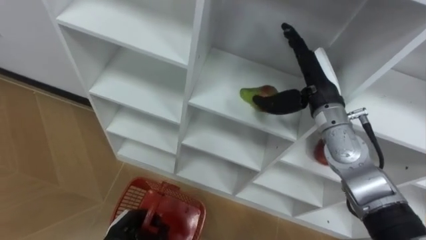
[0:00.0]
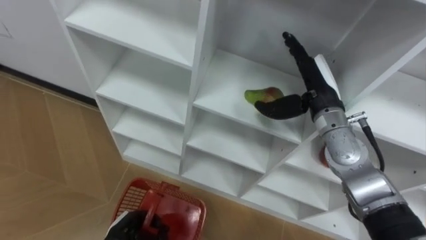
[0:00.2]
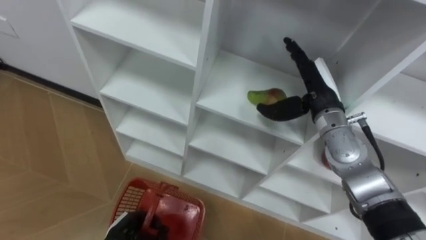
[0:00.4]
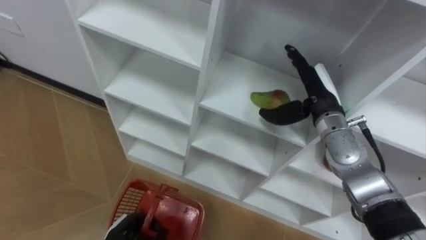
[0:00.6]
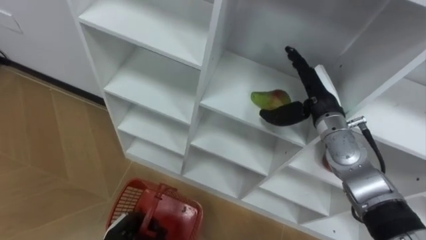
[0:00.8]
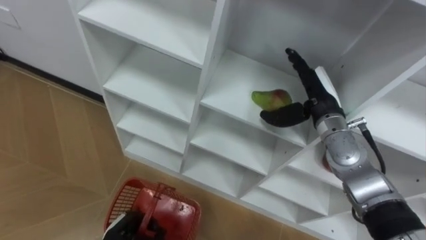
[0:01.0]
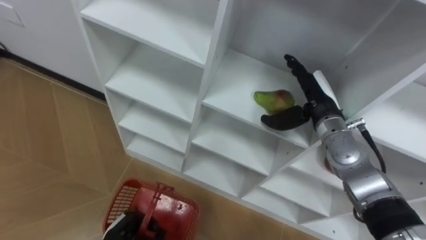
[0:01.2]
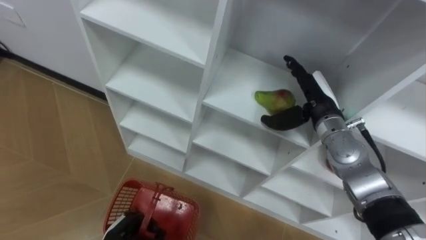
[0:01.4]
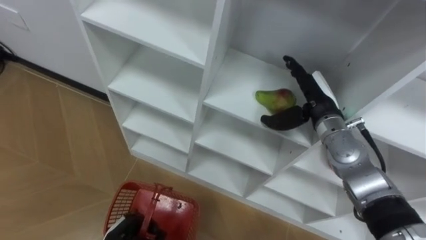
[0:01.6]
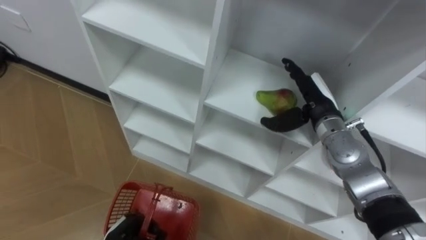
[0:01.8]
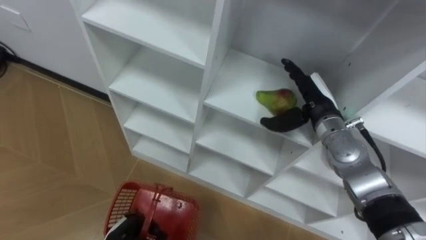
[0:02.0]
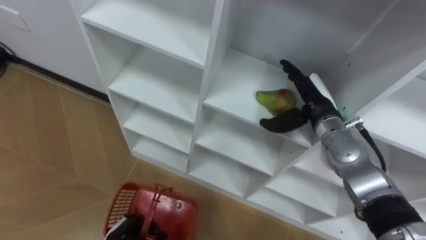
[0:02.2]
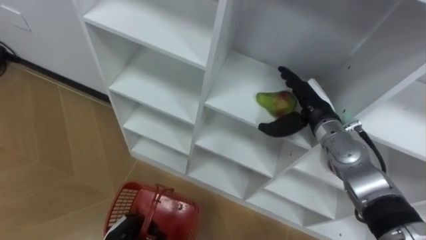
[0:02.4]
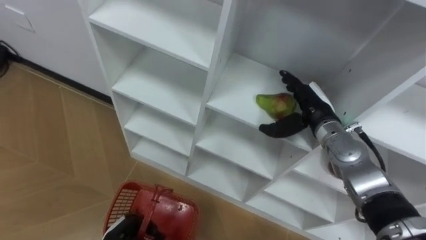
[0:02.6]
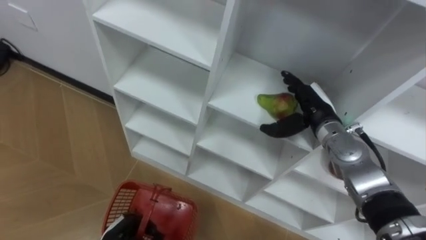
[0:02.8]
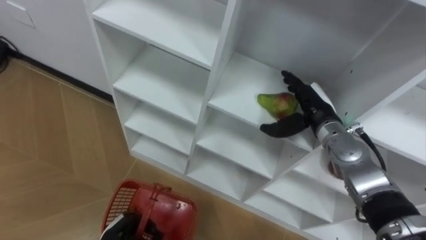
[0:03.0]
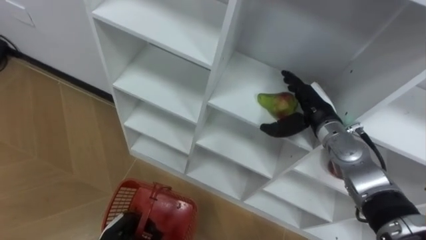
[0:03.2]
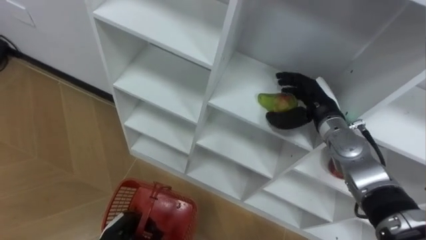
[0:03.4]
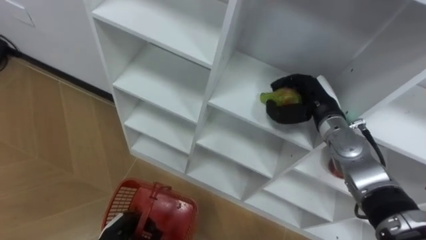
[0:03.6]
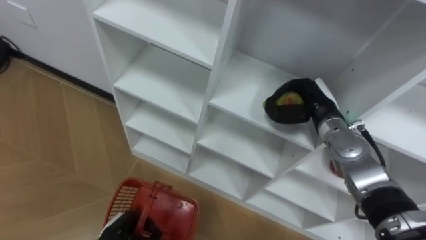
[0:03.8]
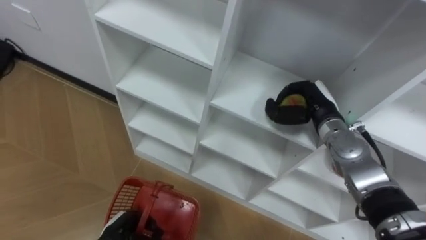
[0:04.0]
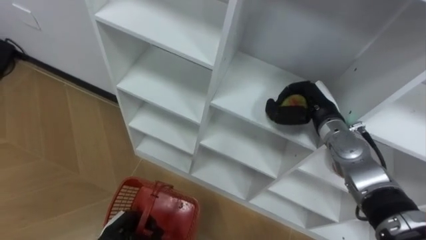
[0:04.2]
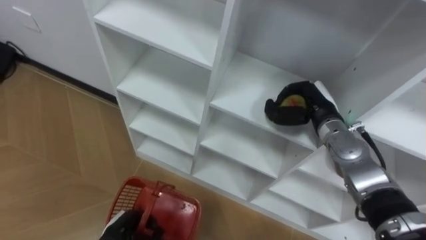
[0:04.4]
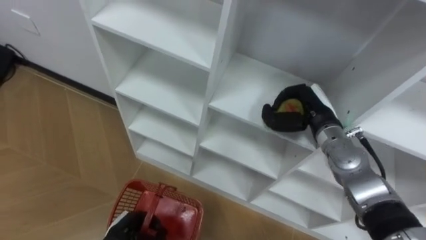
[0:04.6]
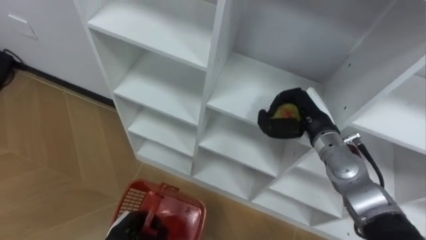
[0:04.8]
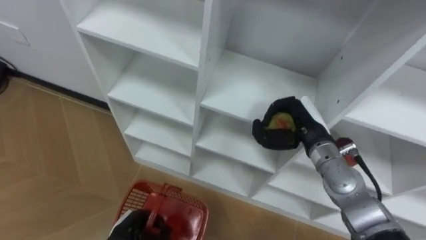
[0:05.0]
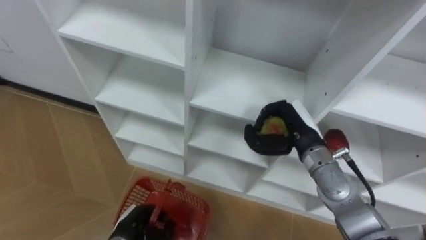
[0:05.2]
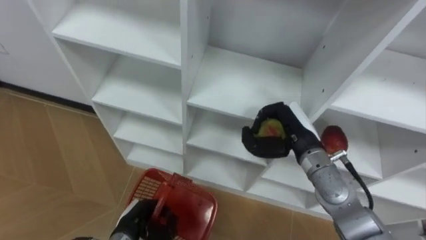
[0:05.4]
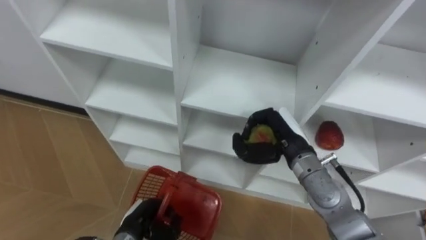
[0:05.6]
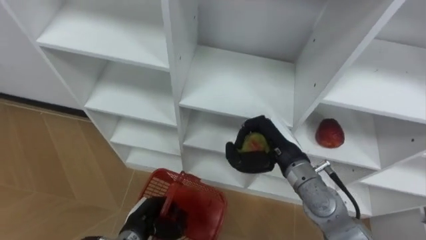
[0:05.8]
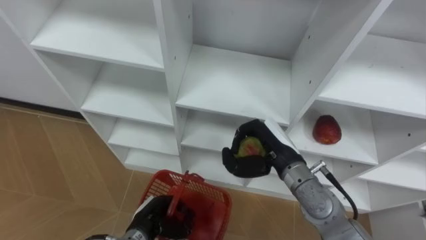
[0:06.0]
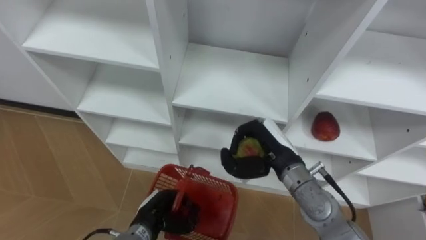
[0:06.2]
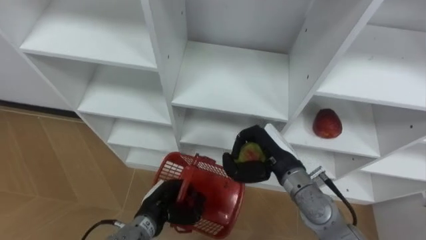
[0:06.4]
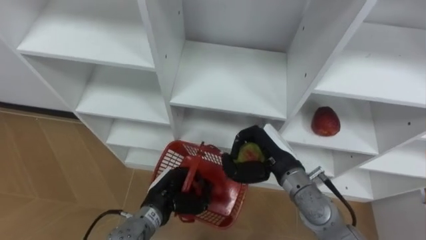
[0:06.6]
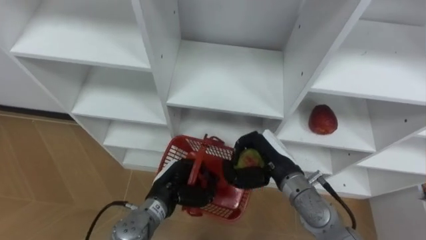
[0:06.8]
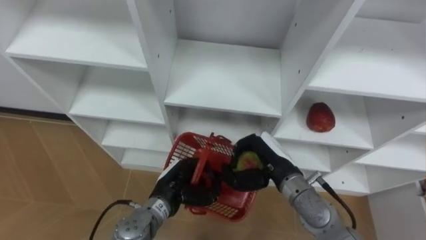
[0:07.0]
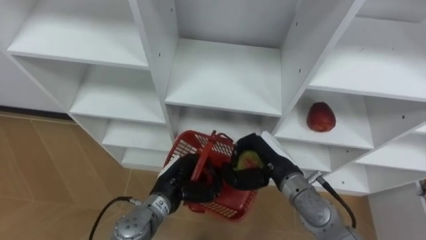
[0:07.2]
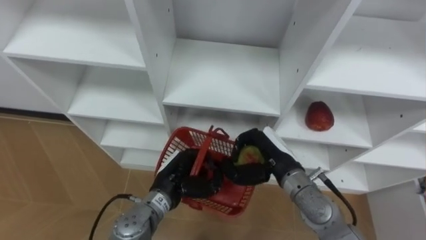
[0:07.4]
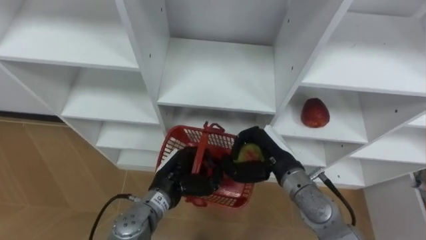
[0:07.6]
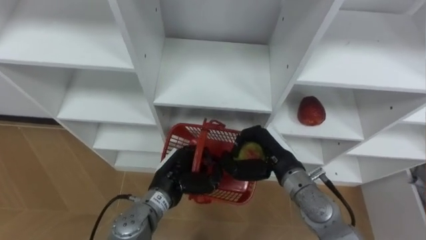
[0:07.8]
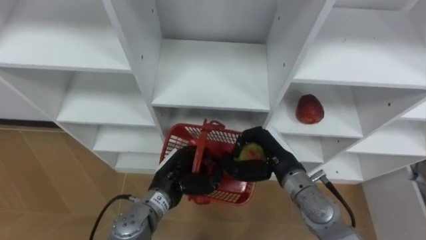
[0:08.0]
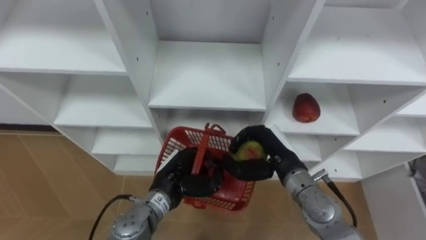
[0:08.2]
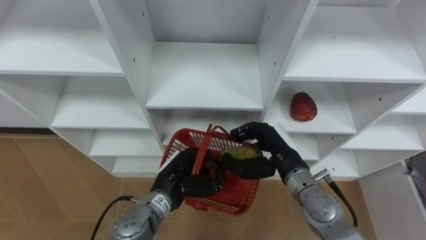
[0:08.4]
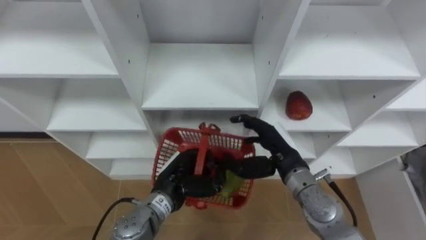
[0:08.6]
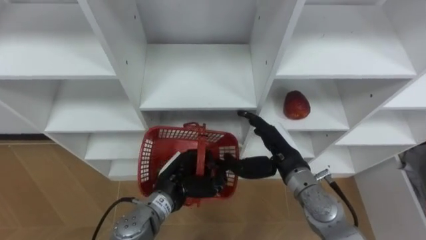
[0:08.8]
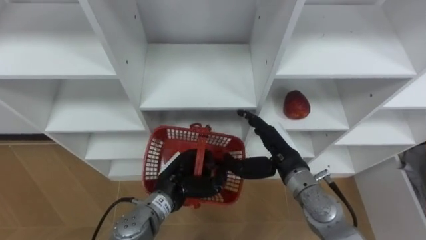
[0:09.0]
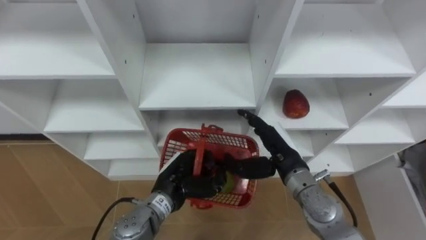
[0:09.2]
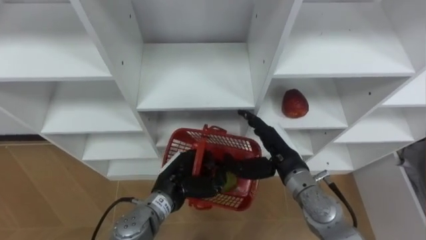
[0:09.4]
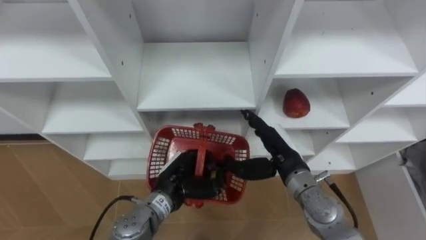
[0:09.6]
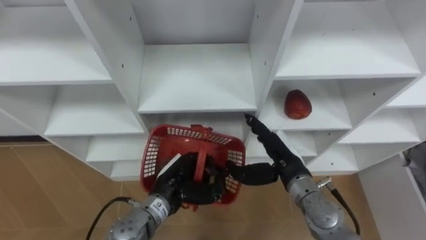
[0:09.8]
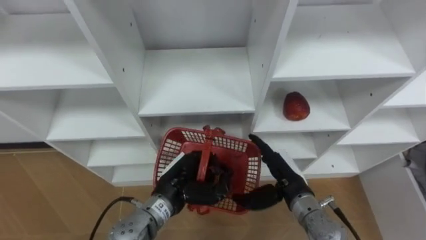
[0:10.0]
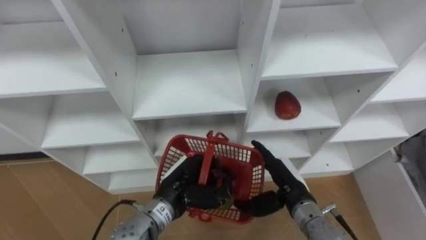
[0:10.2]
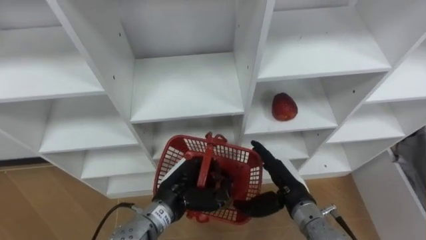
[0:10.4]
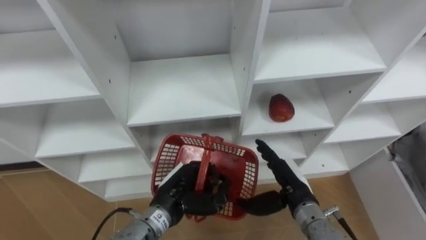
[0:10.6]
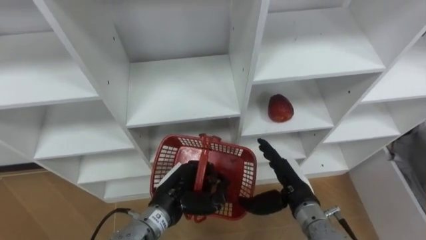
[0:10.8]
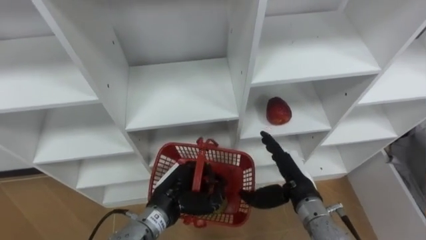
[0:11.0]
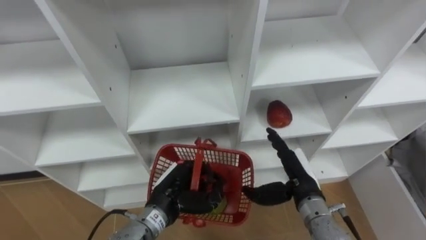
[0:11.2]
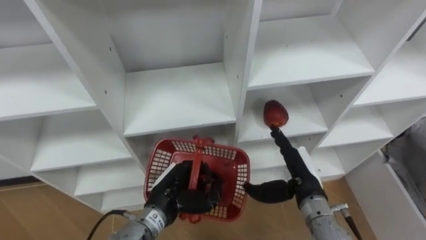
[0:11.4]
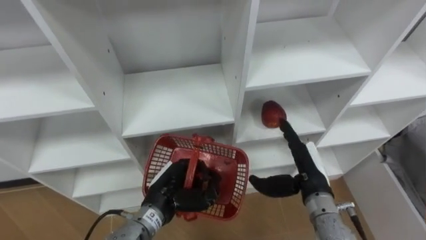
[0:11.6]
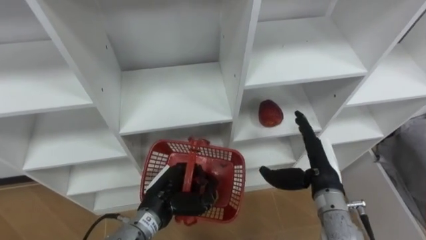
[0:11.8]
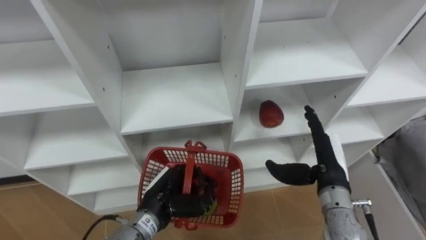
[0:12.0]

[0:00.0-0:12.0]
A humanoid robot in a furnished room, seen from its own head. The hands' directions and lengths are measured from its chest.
Task of the whole recording: Hold the basket and collect the fruits from 3 different cells of the closet into it.
0:00.0 to 0:01.6: The right hand goes about 5 cm downward.
0:01.6 to 0:03.0: The hands stay close to where they were, moving slightly.
0:03.0 to 0:04.4: The right hand closes up.
0:04.4 to 0:06.0: The right hand shifts approximately 10 cm to the left and backward, while the left hand heads to the right, covering roughly 5 cm.
0:06.0 to 0:07.6: The left hand travels upward, to the right and forward by roughly 15 cm.
0:07.6 to 0:09.0: The right hand opens its fingers.
0:09.0 to 0:10.4: The right hand heads downward, covering roughly 5 cm.
0:10.4 to 0:12.0: The right hand travels to the right and upward by approximately 10 cm.

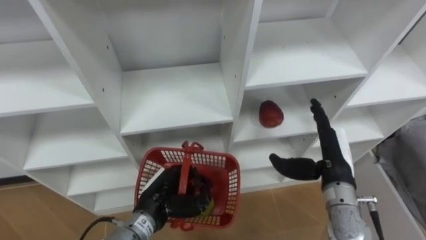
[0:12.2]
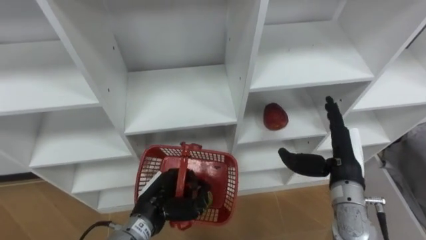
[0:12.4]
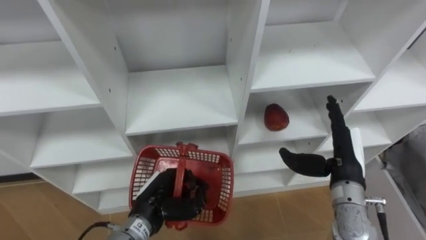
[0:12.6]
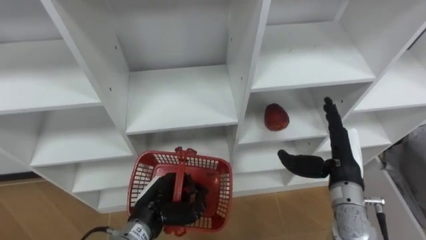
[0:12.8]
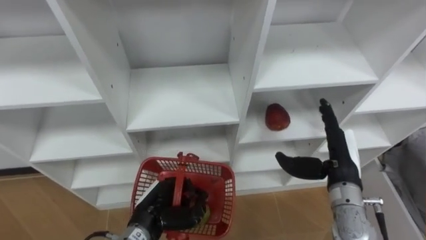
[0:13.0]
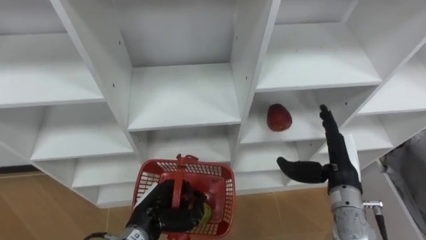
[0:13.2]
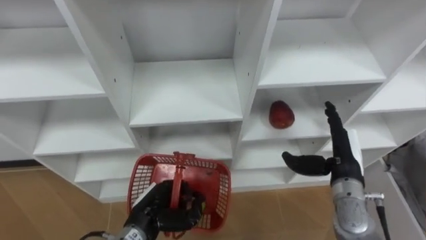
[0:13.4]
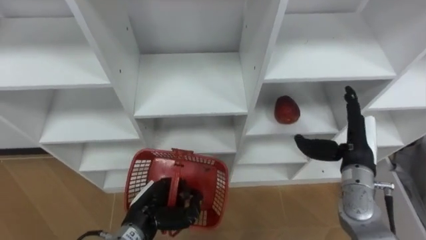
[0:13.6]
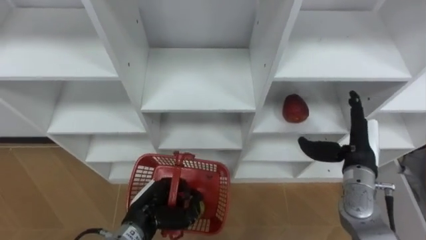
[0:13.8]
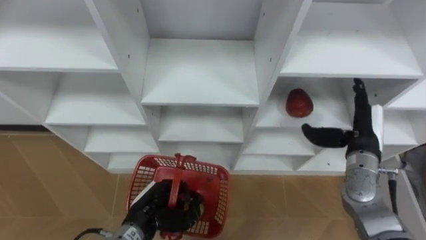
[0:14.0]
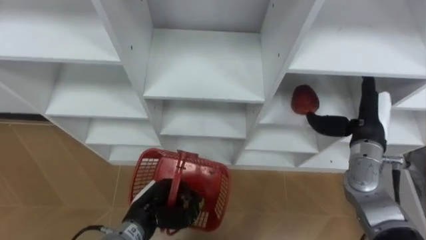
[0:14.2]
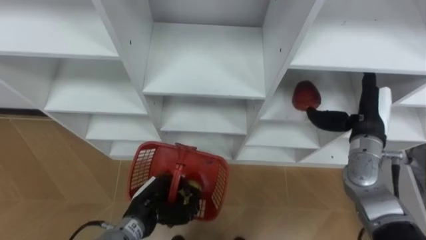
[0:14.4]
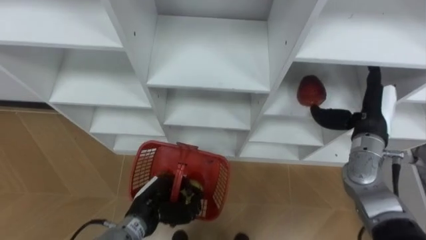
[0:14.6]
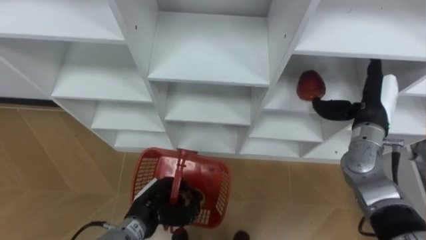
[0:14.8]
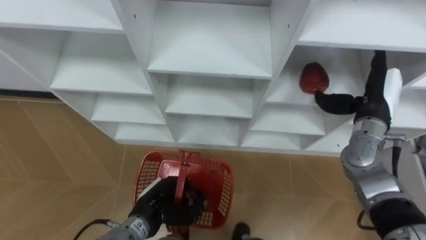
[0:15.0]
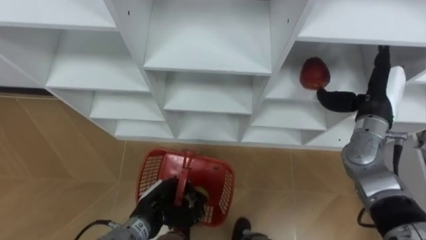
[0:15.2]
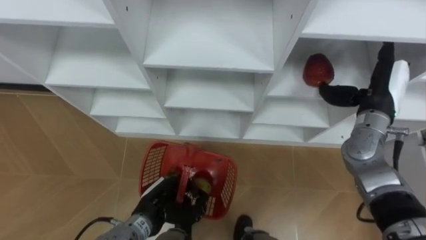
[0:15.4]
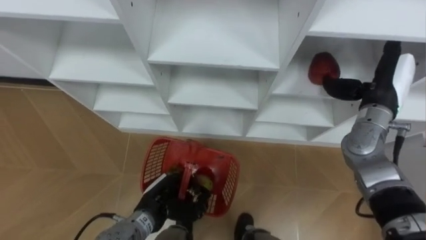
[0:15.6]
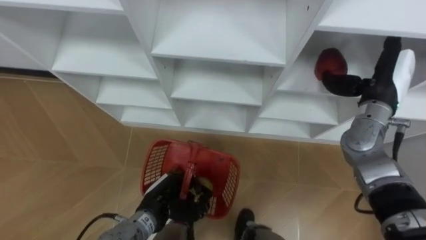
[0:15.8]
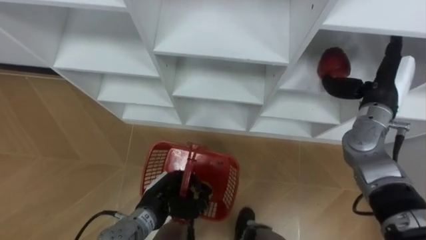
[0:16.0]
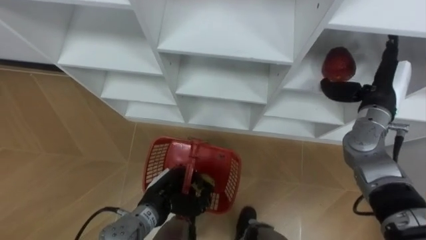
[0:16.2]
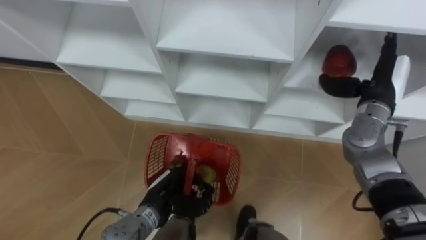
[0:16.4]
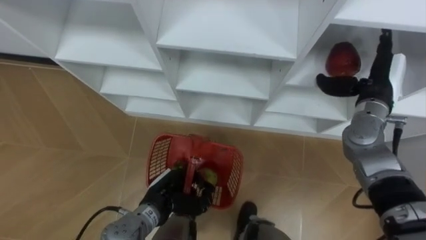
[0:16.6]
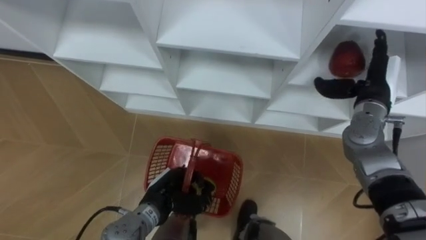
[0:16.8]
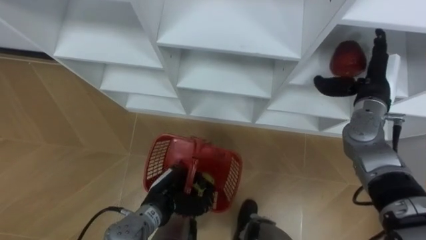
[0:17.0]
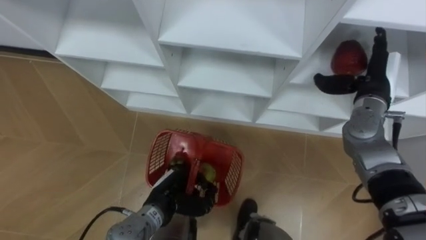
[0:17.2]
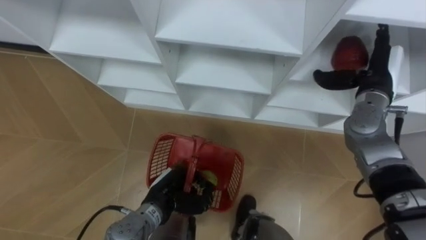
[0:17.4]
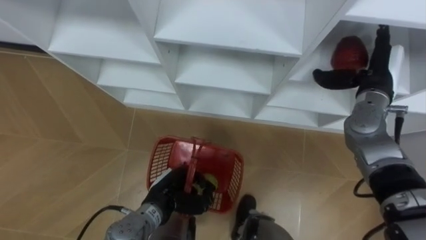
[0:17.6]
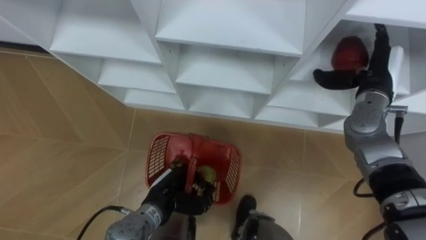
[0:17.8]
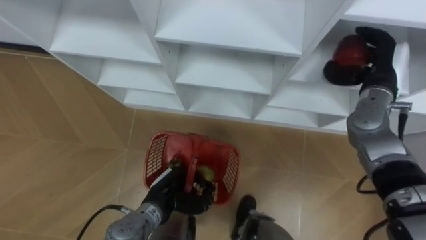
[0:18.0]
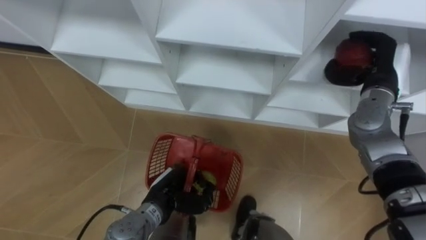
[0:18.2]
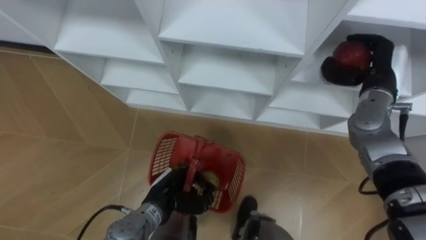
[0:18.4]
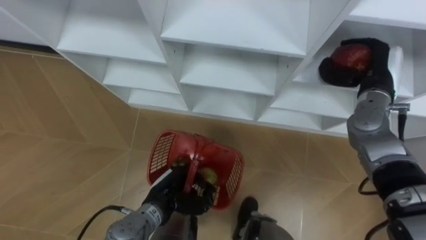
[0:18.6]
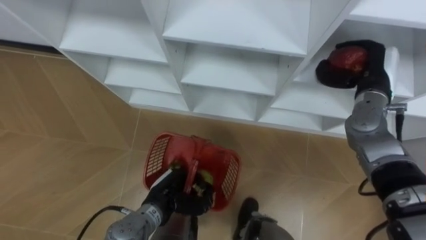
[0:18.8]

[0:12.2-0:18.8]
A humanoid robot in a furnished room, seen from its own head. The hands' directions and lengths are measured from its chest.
Task of the whole recording: Hold the basket and collect the fruits from 3 different cells of the closet into it.
0:12.2 to 0:13.8: The right hand is displaced to the right by about 5 cm.
0:13.8 to 0:15.4: The right hand travels upward and forward by about 10 cm.
0:17.2 to 0:18.8: The right hand closes up.
